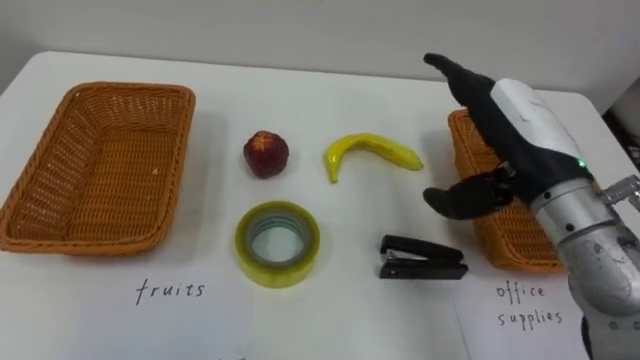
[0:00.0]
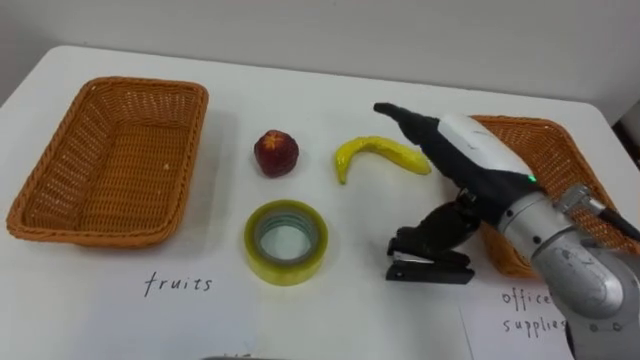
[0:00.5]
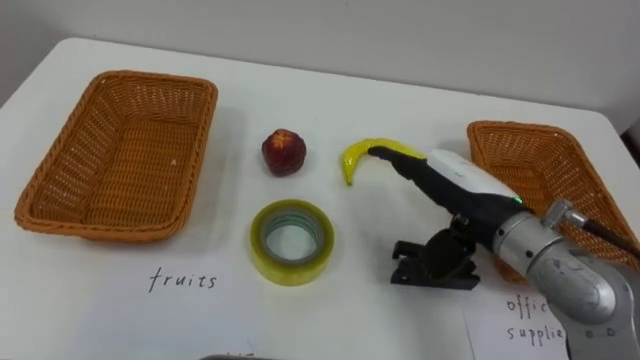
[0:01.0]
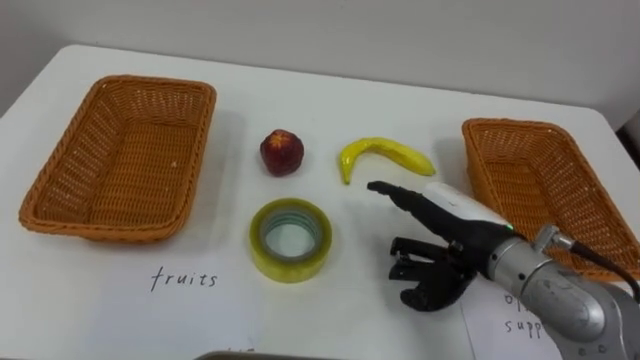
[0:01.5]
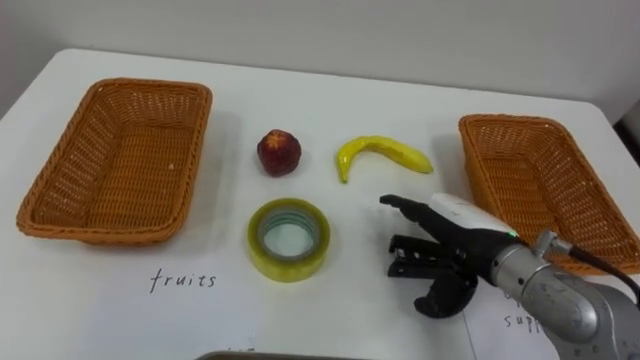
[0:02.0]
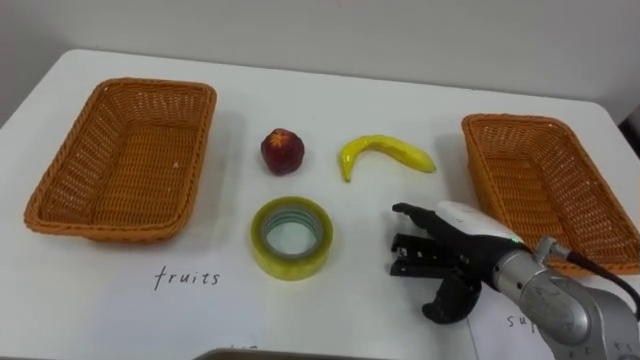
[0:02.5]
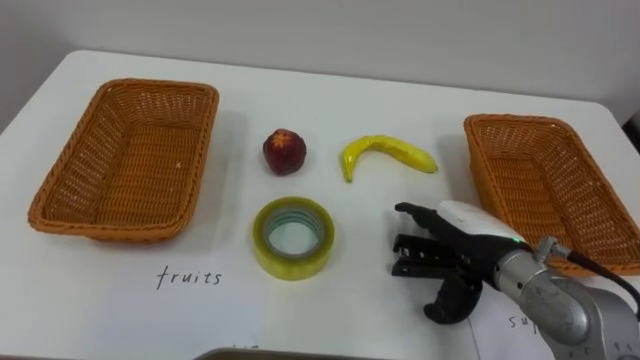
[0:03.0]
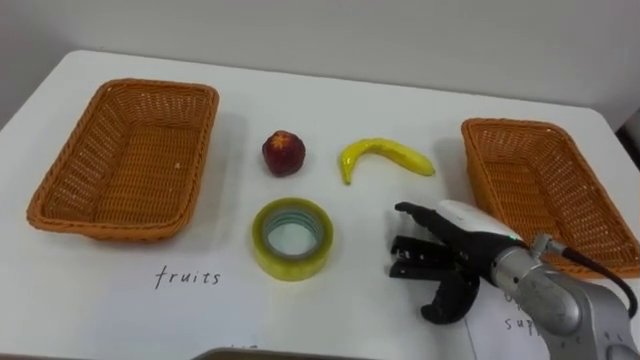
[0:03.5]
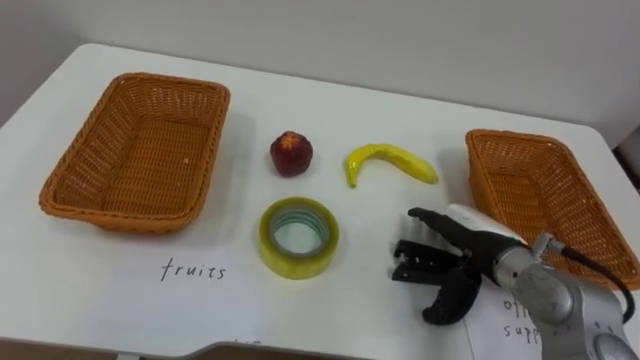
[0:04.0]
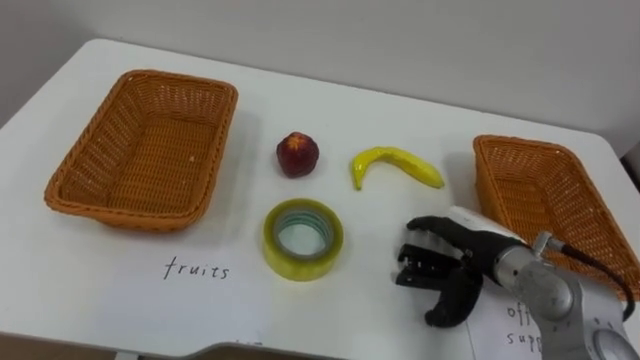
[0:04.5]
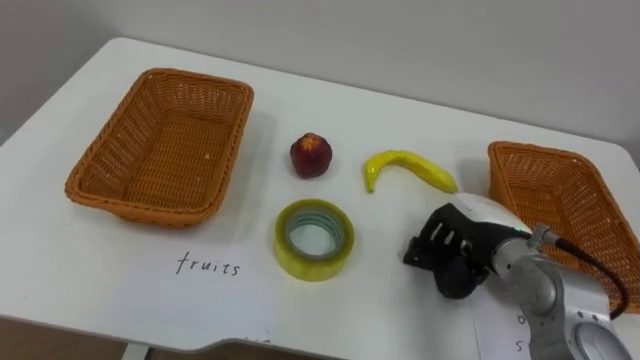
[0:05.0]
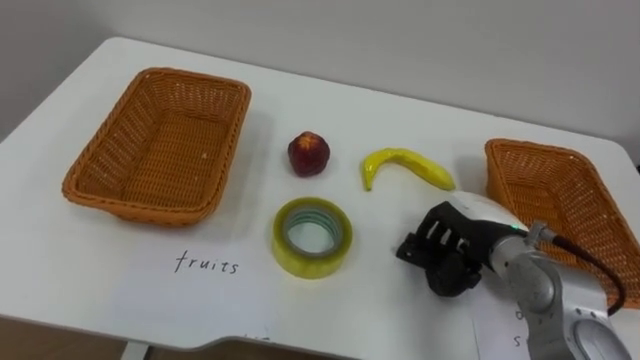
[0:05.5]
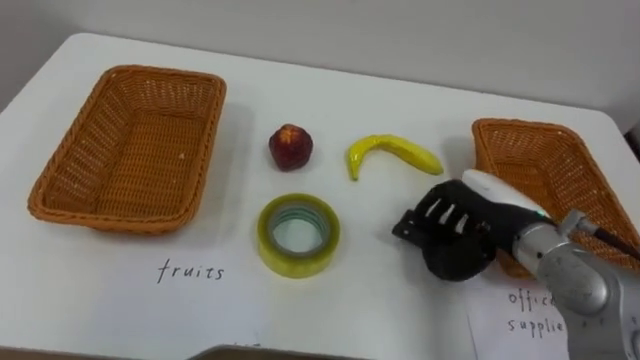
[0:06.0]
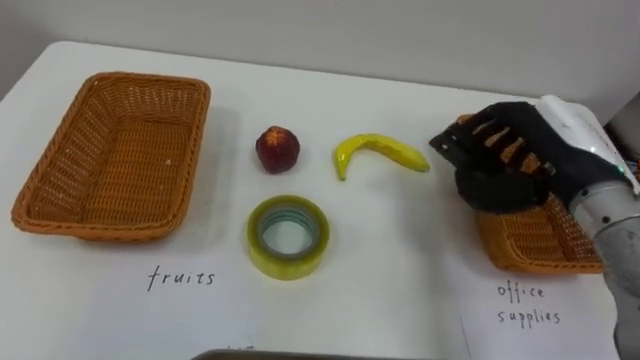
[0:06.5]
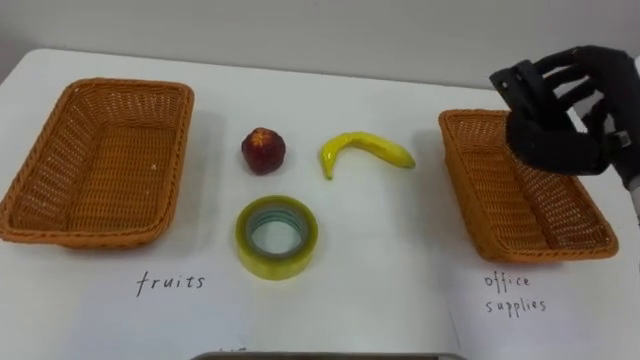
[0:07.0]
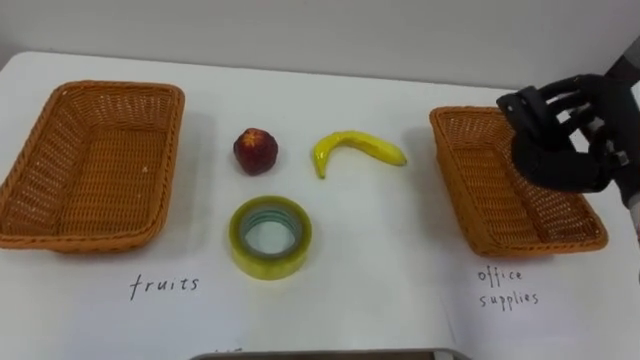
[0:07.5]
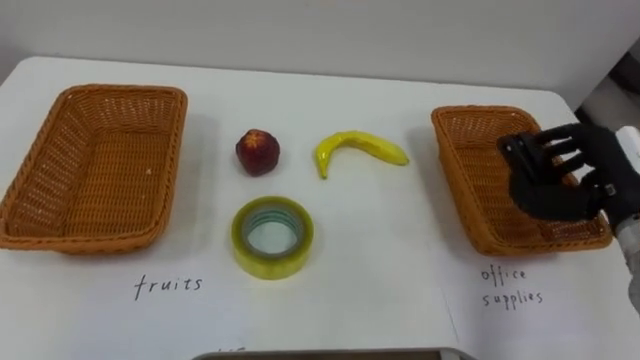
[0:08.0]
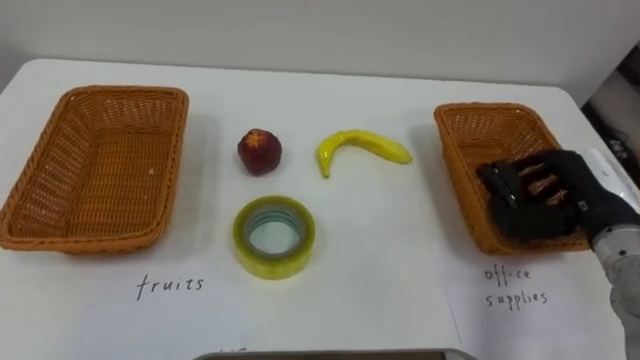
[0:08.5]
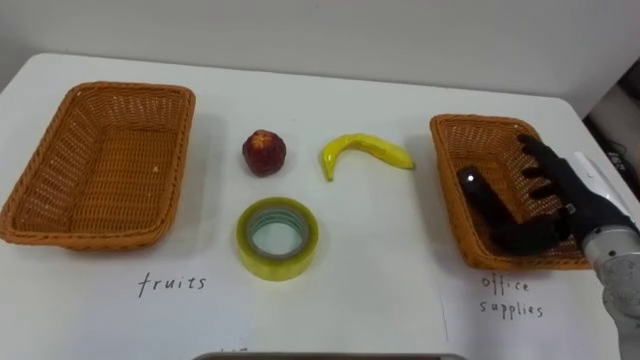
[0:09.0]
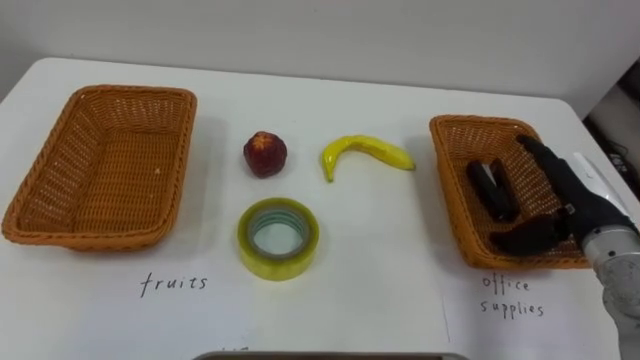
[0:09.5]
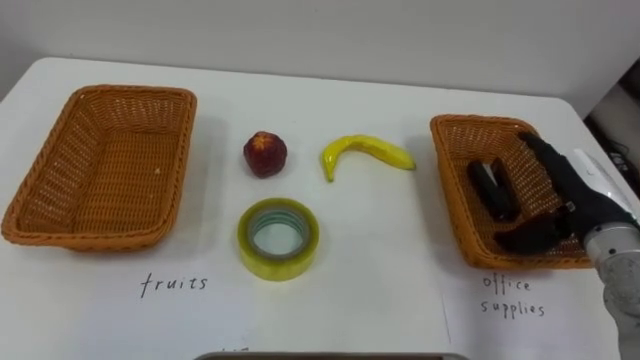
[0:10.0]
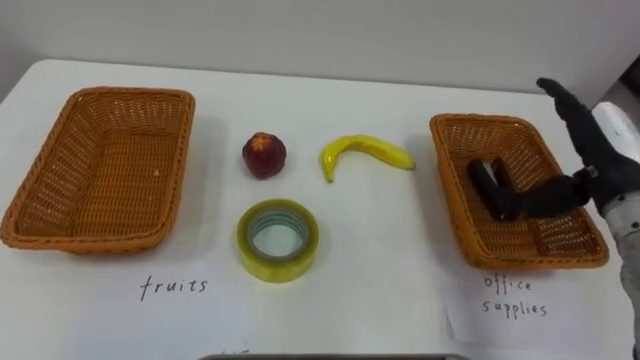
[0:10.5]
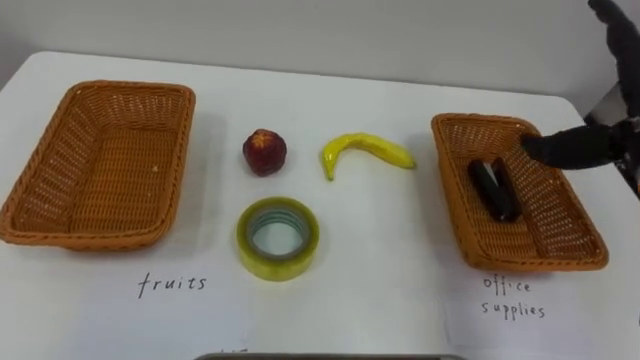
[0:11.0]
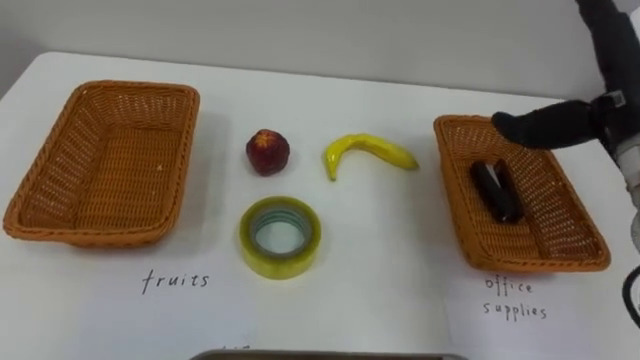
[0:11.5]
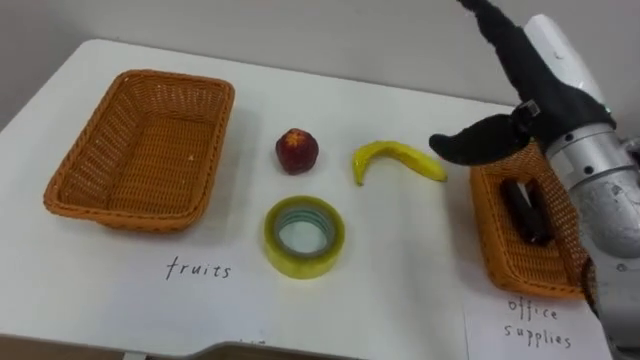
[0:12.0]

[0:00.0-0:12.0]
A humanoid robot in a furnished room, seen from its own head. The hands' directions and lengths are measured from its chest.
Task of the whole recording: Separate the items on the table and place them into the two baskets.
0:00.0 to 0:02.0: The right hand travels downward by some 10 cm.
0:02.0 to 0:04.0: The right hand goes approximately 5 cm downward.
0:04.0 to 0:06.0: The right hand moves upward, approximately 5 cm, and closes.
0:06.0 to 0:08.0: The right hand moves to the right, roughly 10 cm, and goes upward and returns, some 15 cm each way.
0:08.0 to 0:10.0: The right hand opens its fingers.

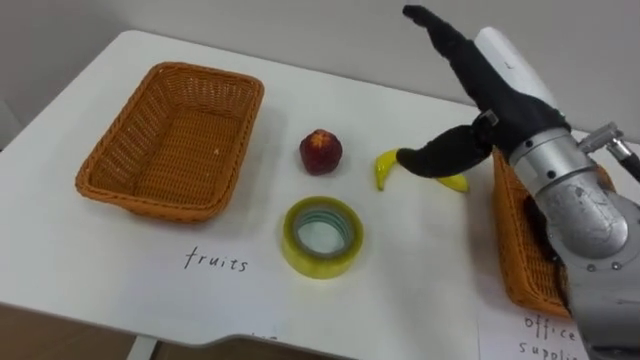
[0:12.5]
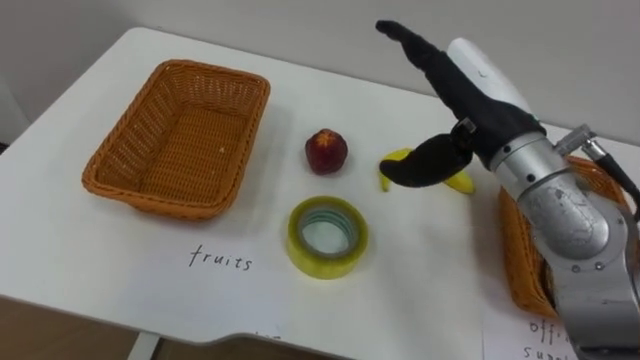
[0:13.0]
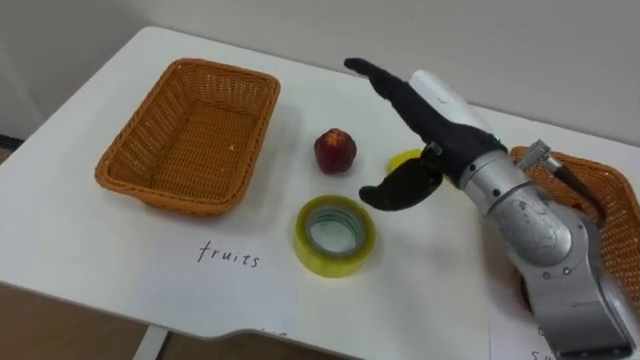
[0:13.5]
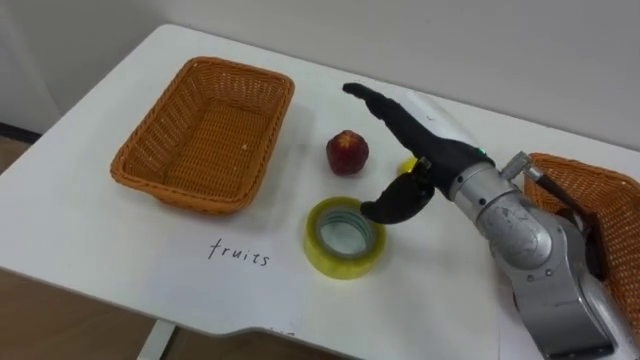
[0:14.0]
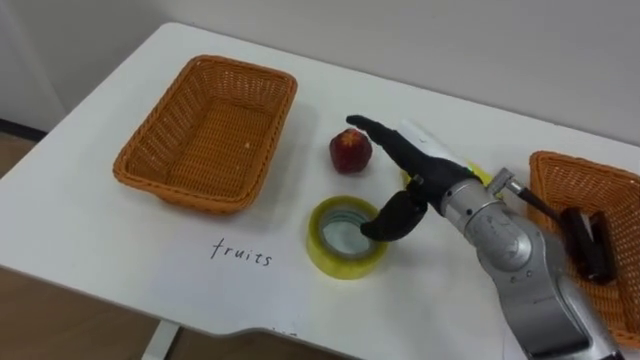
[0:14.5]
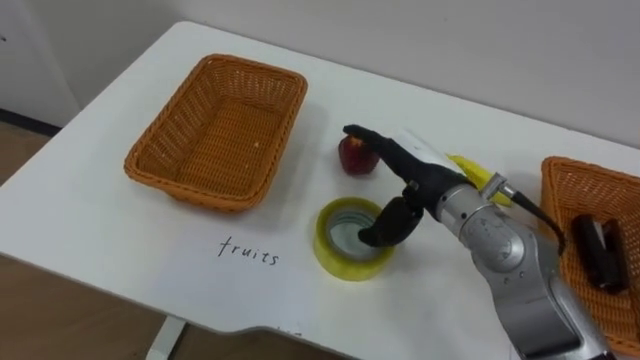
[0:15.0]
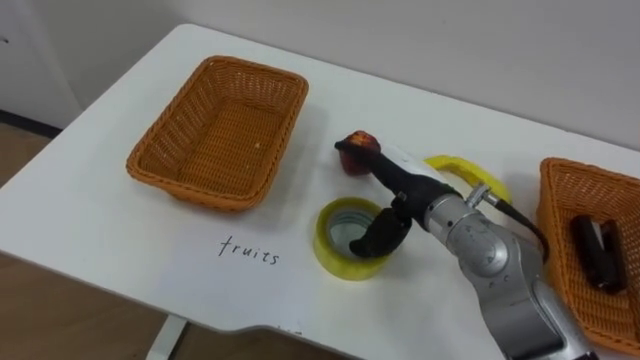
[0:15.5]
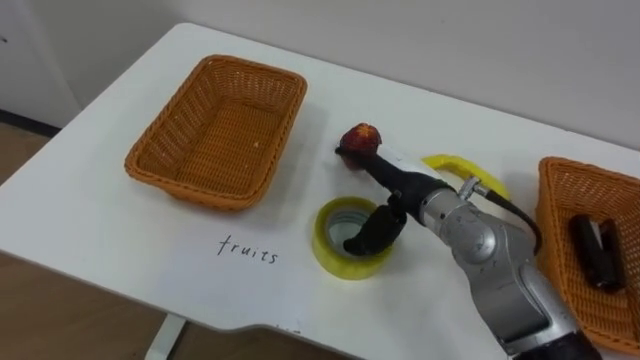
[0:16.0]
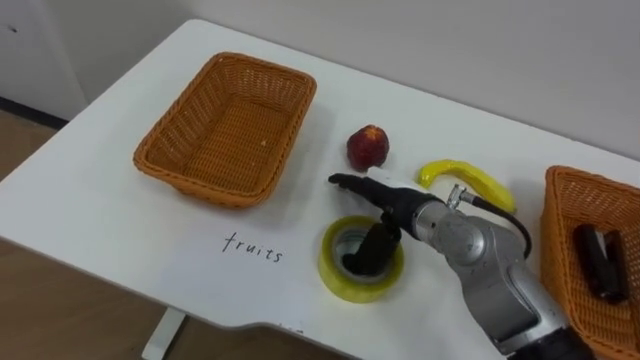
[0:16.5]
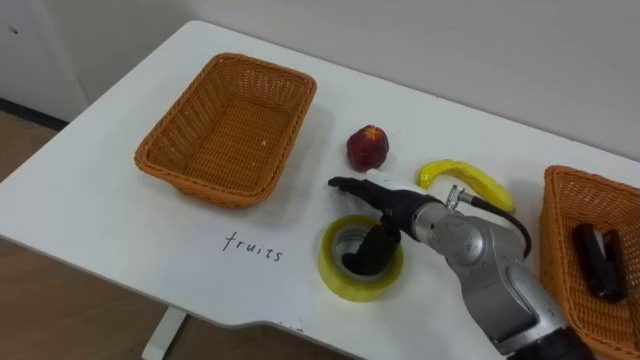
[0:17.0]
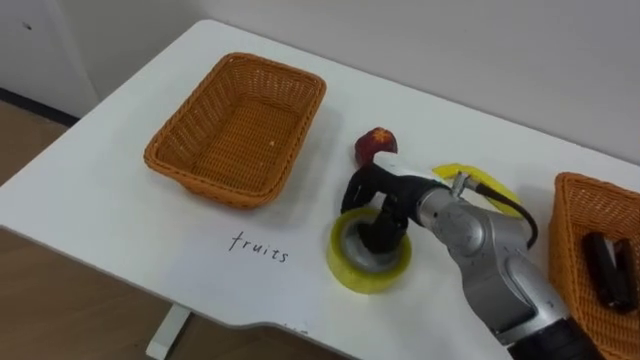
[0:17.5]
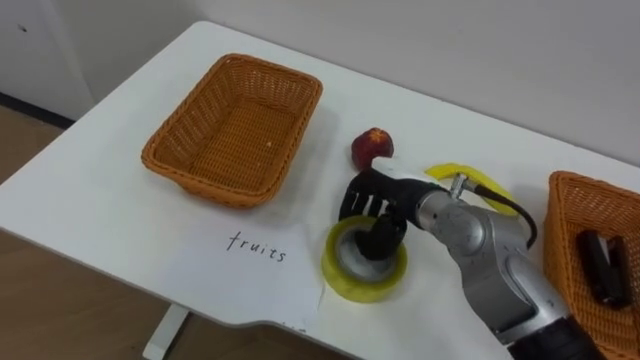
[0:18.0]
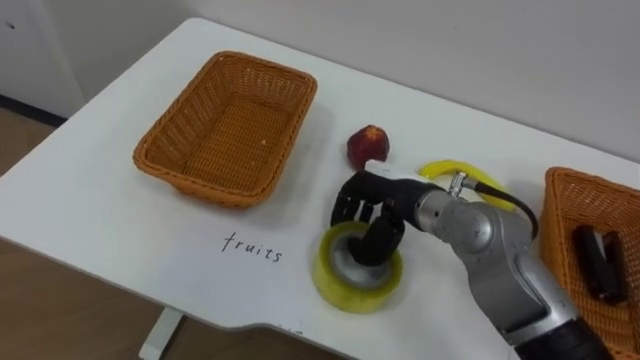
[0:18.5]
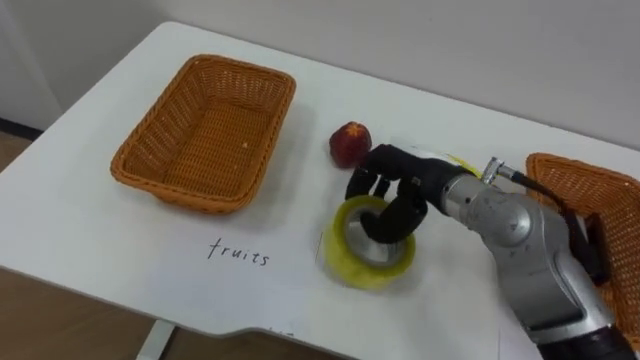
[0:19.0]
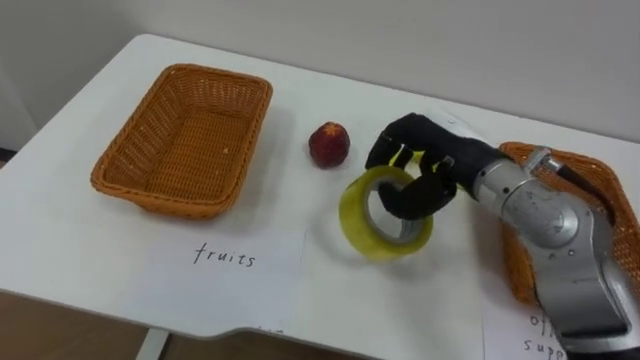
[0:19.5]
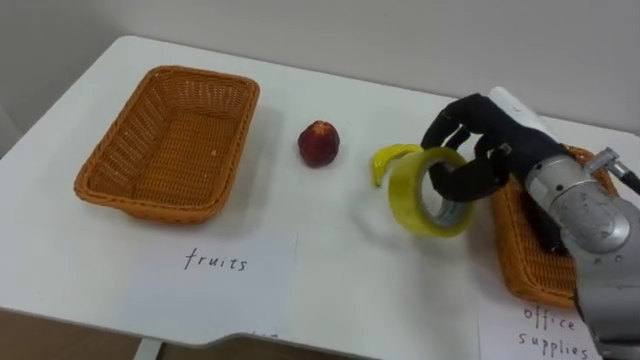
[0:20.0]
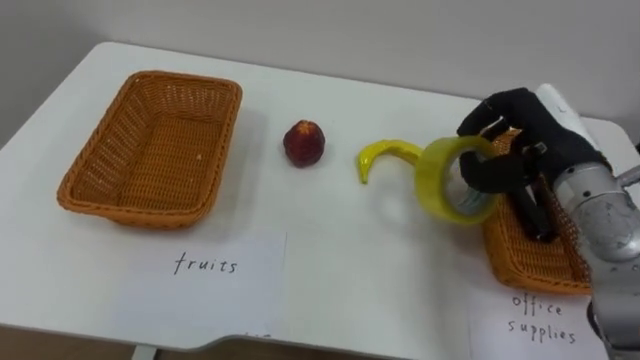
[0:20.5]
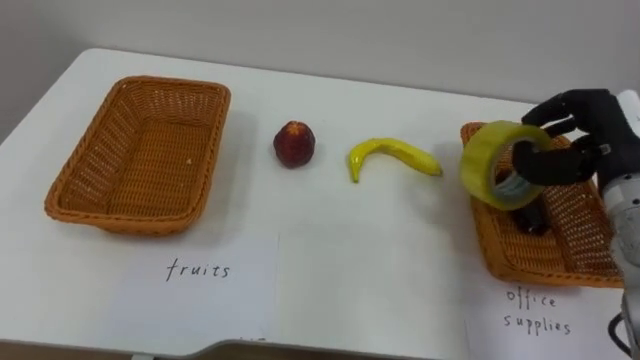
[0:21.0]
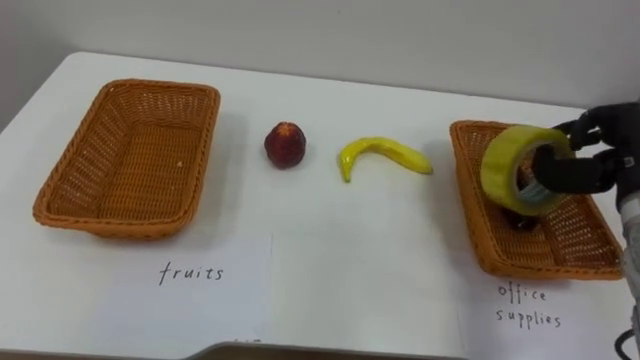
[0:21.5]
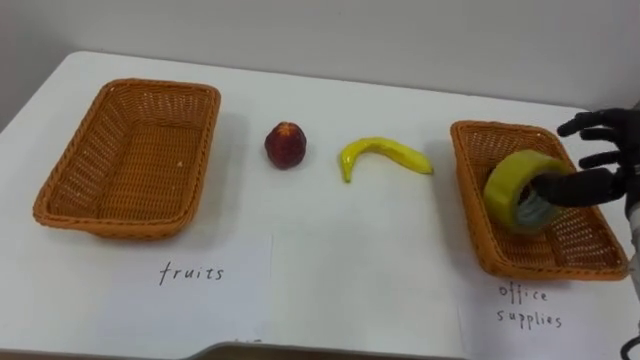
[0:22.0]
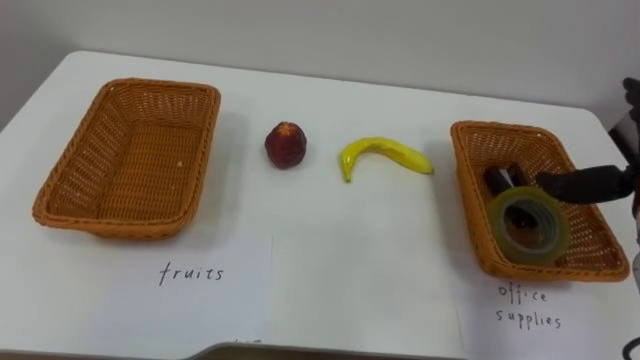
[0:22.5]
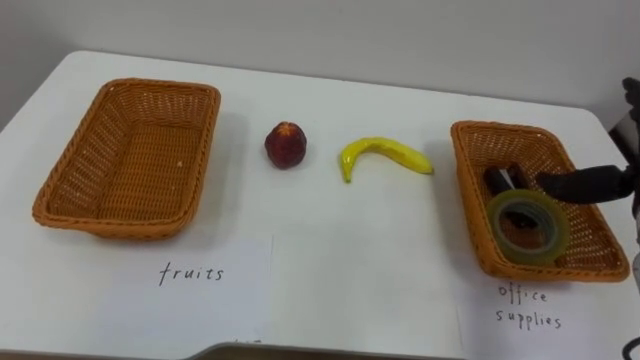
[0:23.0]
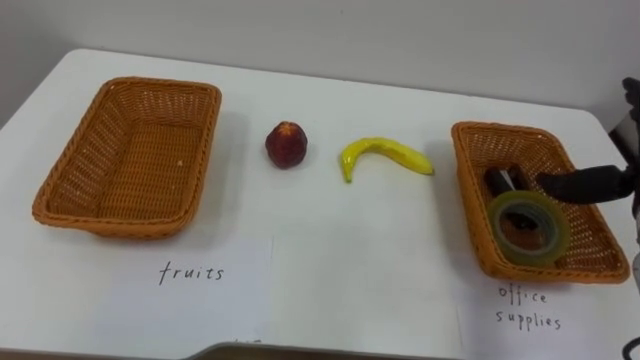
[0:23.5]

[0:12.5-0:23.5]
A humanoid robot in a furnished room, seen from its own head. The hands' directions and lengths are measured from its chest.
Task of the whole recording: Separate the items on the table and place them into the two baskets.
0:12.5 to 0:14.5: The right hand travels downward by some 10 cm.
0:16.0 to 0:18.0: The right hand closes.
0:18.0 to 0:20.0: The right hand travels to the right and upward by about 15 cm.
0:20.0 to 0:21.5: The right hand heads to the right, covering about 15 cm.
